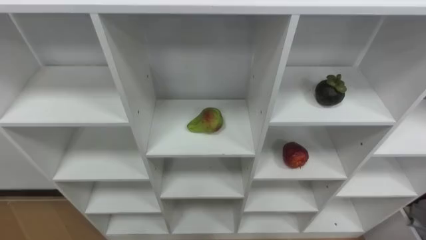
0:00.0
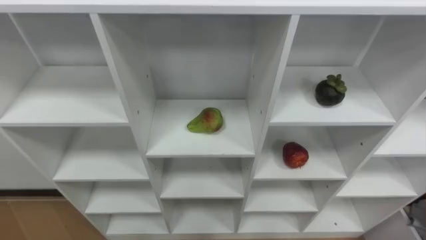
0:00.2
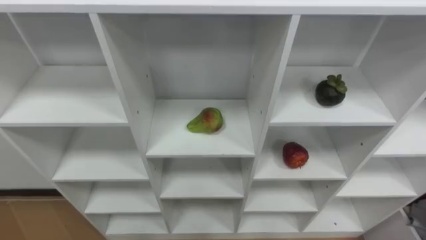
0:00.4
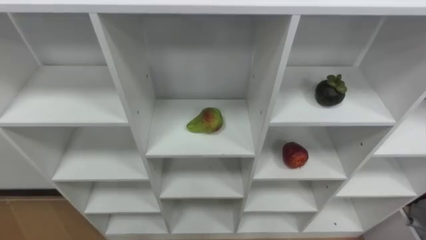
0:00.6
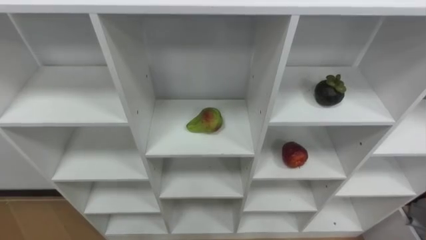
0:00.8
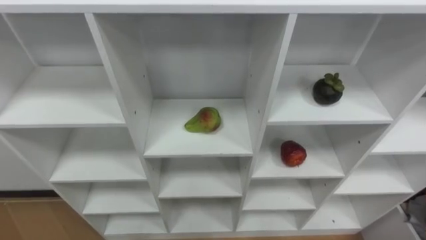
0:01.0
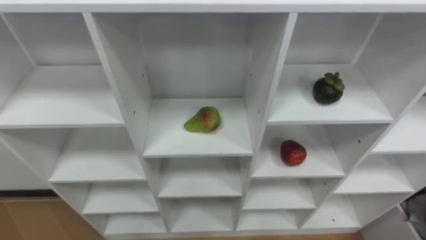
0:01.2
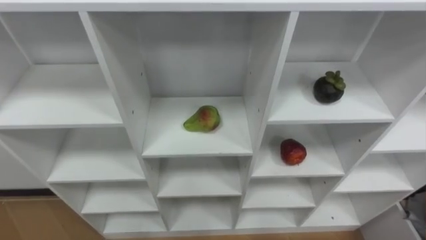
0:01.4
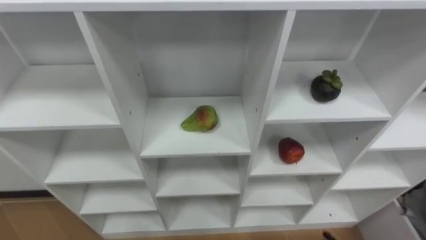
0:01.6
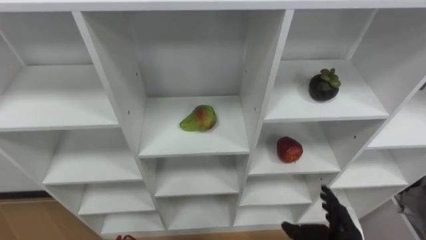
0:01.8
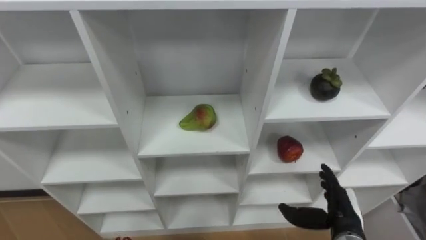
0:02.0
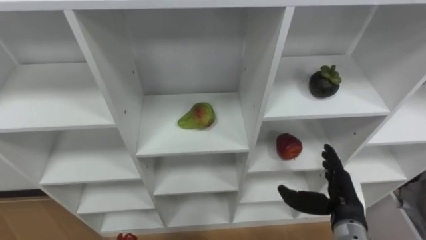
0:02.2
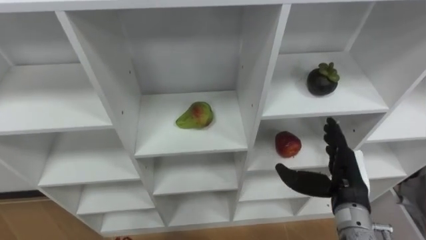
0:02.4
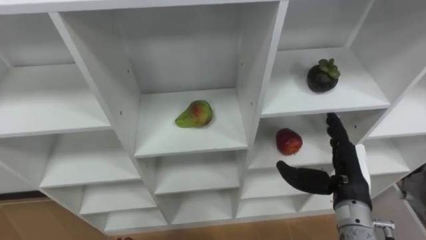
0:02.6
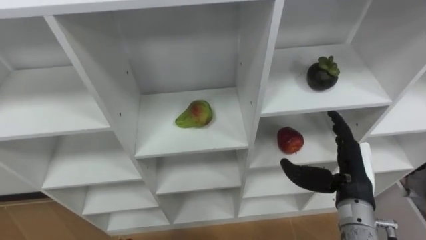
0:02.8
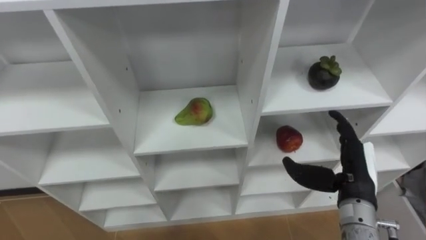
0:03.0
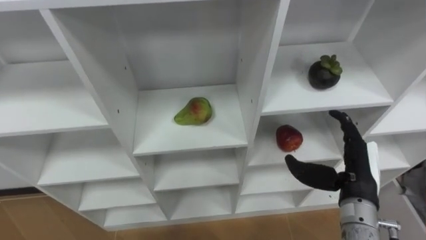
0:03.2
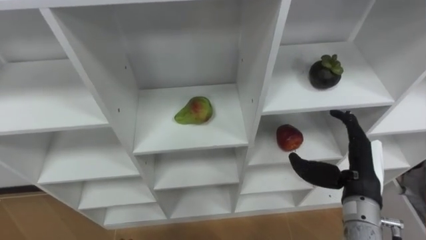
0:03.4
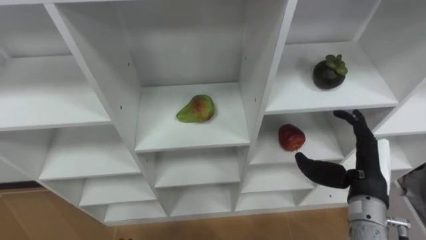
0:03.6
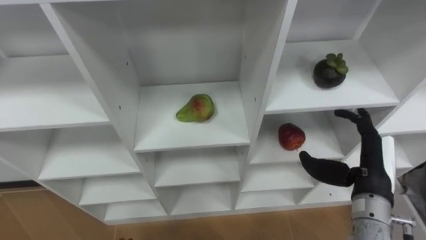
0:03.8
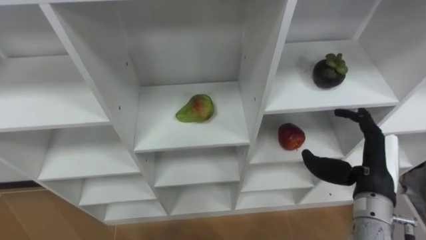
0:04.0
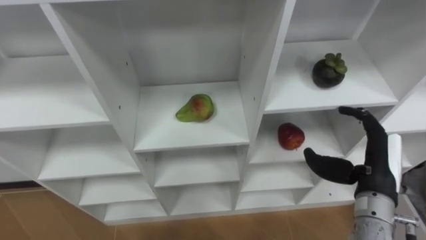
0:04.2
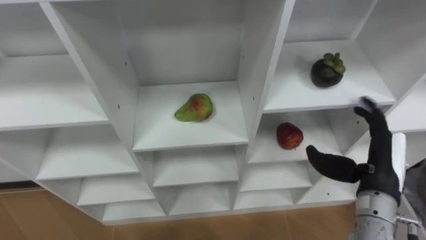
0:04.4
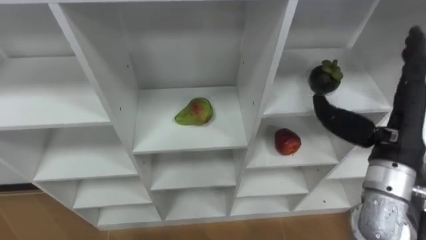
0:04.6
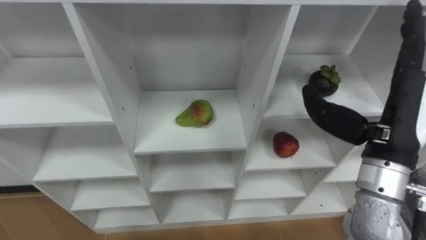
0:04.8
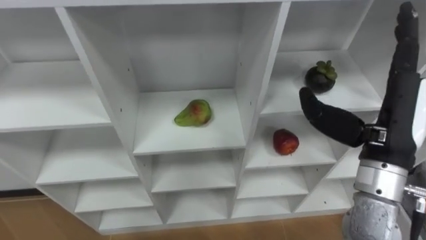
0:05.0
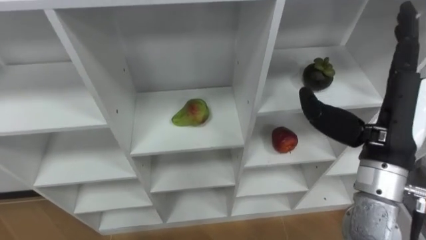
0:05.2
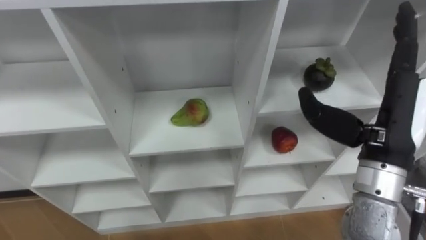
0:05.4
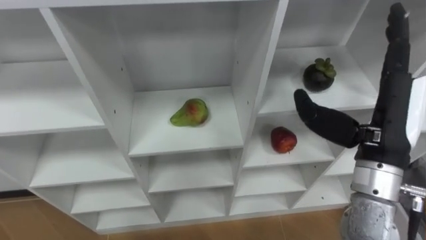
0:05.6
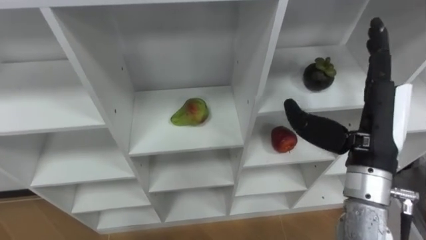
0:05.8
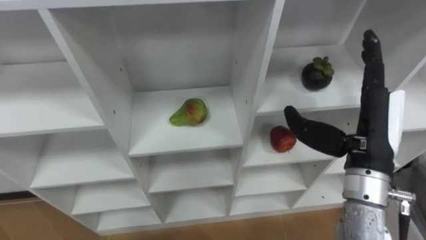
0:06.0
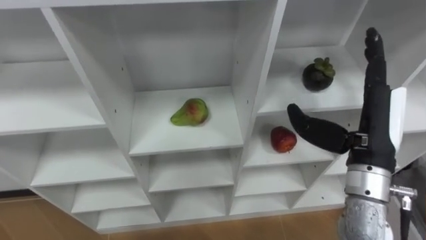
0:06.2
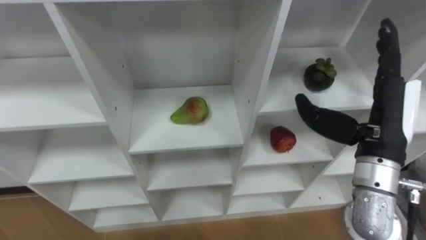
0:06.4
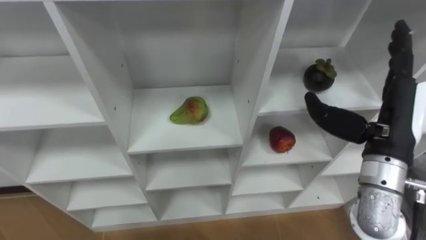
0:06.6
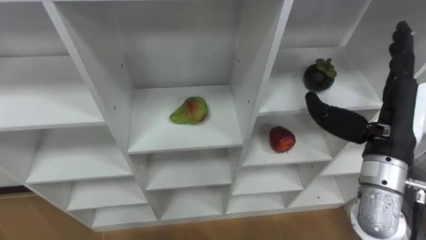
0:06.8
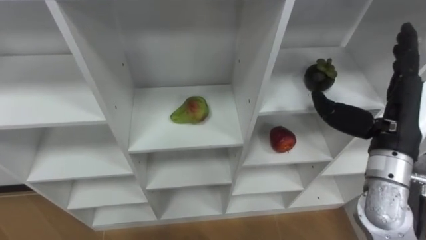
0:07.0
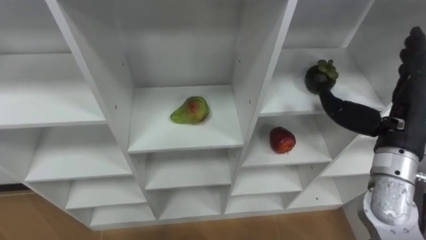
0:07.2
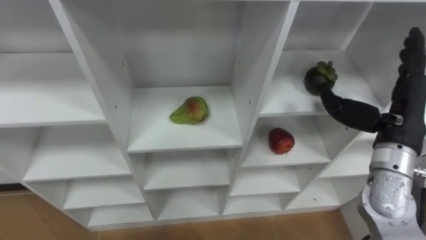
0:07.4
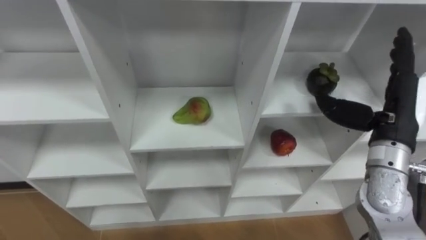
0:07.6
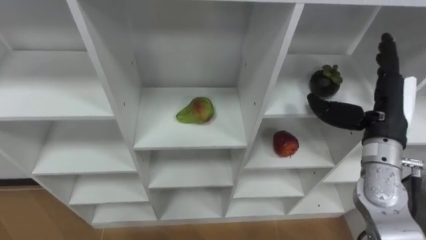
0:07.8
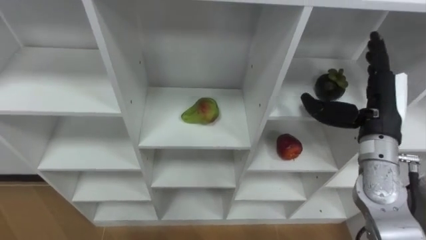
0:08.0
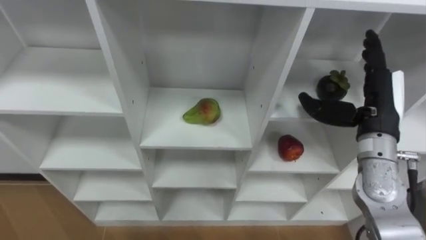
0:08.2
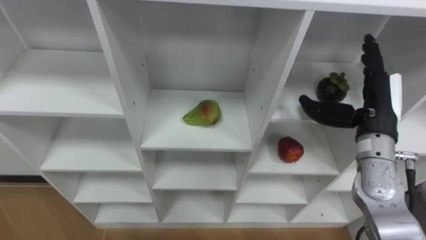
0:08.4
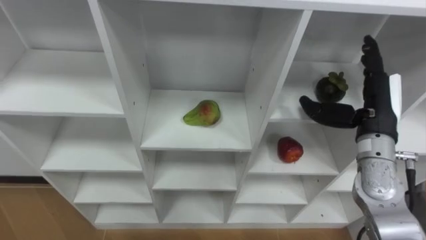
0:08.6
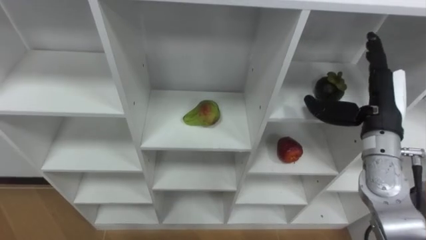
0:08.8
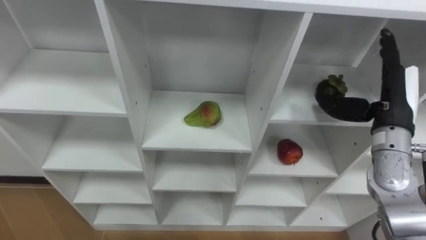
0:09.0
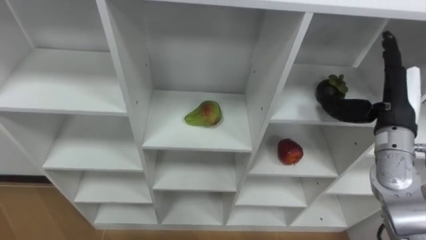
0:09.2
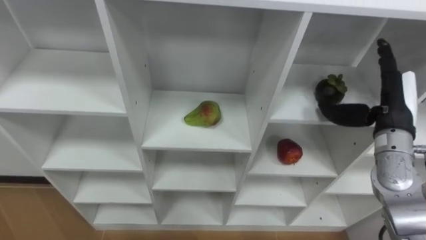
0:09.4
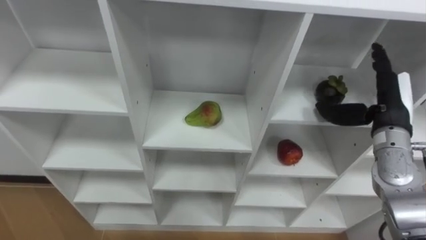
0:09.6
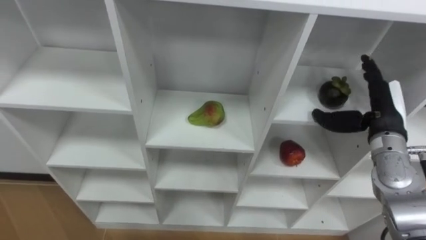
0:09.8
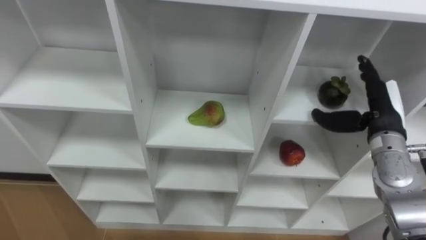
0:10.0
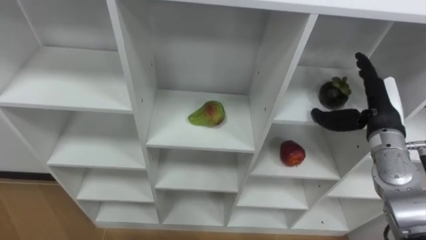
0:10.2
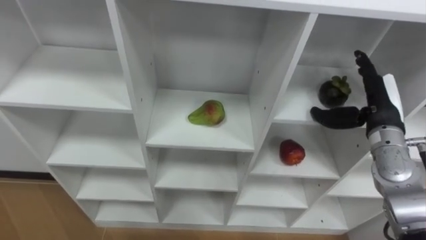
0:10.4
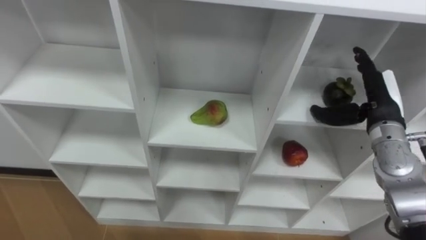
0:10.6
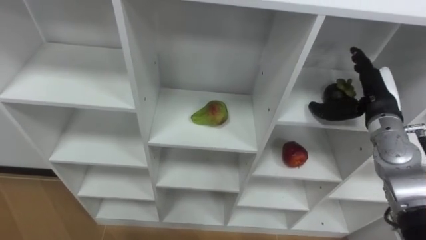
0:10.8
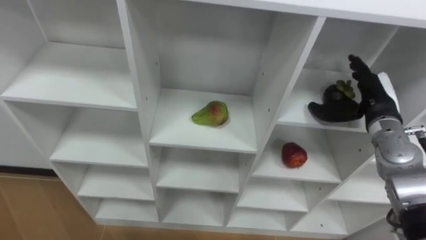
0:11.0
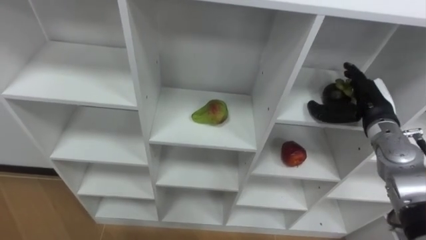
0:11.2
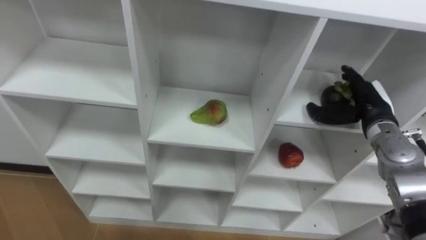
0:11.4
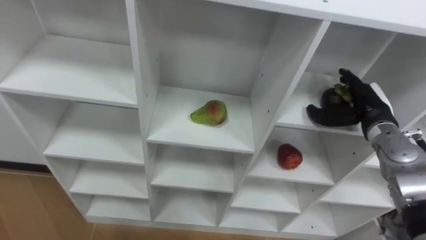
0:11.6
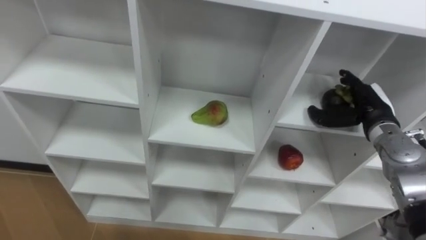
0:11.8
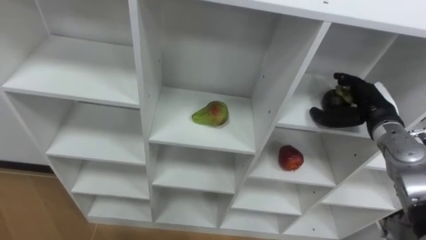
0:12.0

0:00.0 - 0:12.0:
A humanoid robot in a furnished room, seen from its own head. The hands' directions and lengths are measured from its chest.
Task of the whole recording: Hold the basket and collect the fruits from 3 different cells of the closet into it.
0:04.4 - 0:06.0: The right hand travels upward by roughly 10 cm.
0:06.0 - 0:07.6: The right hand shifts roughly 5 cm to the right.

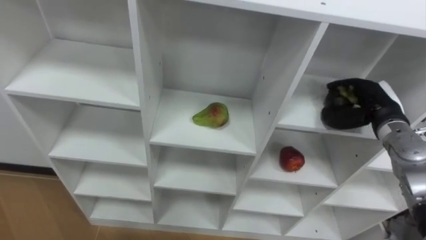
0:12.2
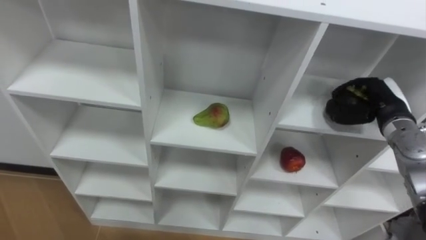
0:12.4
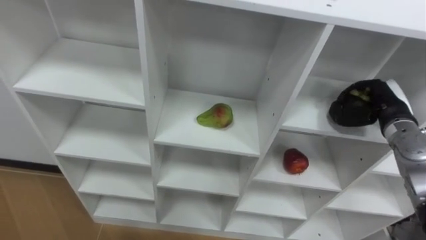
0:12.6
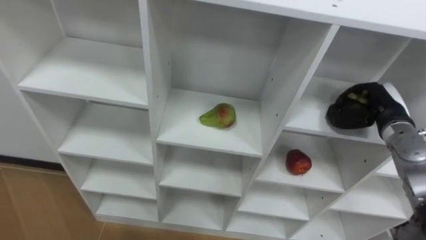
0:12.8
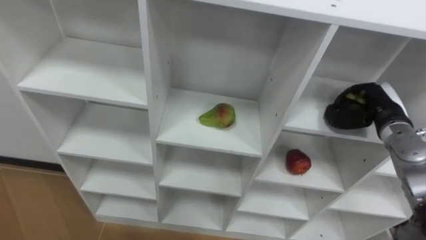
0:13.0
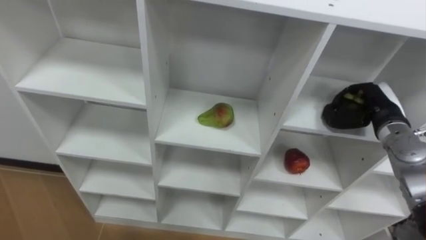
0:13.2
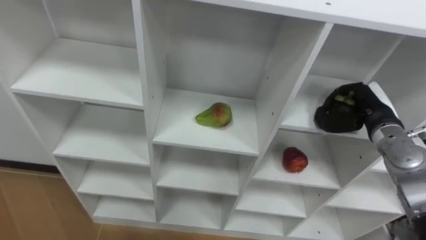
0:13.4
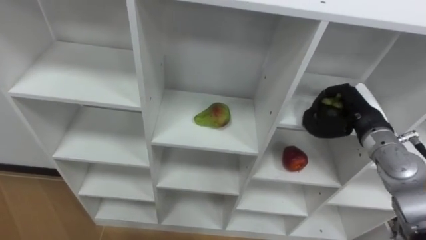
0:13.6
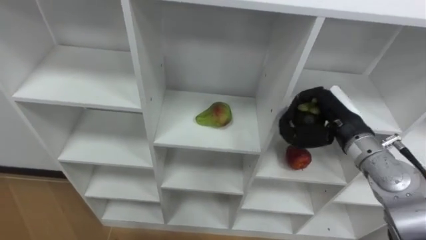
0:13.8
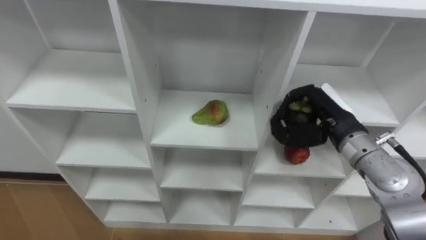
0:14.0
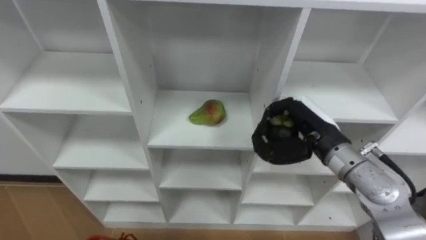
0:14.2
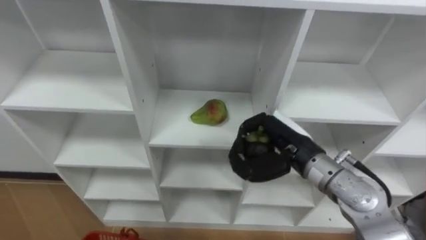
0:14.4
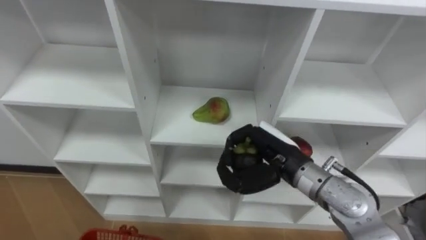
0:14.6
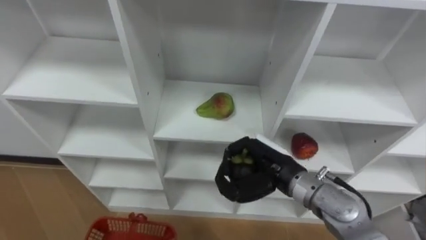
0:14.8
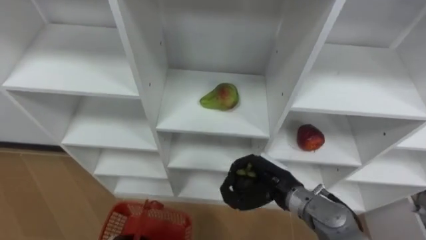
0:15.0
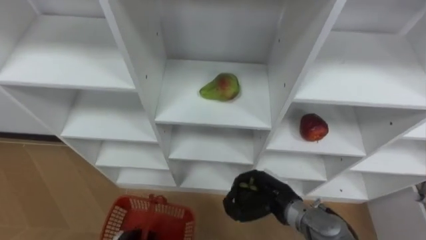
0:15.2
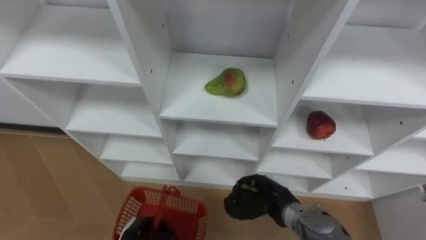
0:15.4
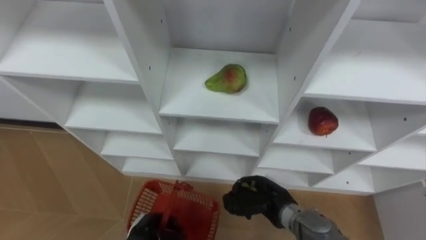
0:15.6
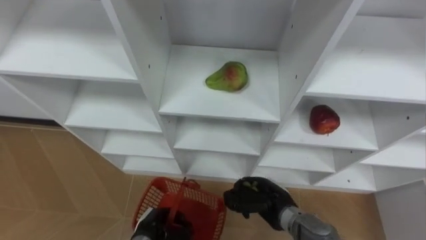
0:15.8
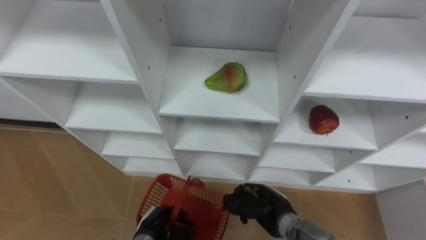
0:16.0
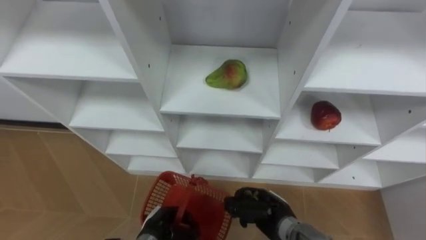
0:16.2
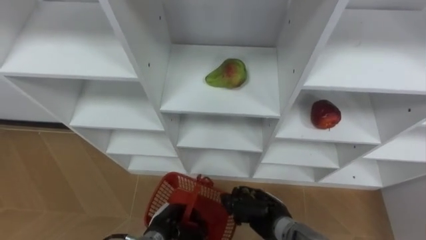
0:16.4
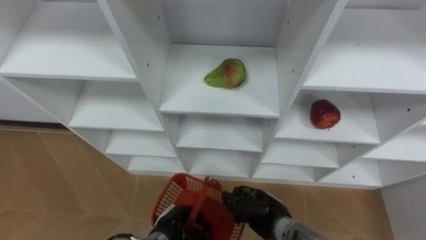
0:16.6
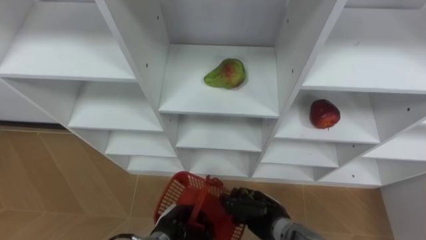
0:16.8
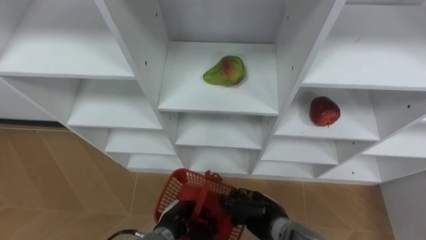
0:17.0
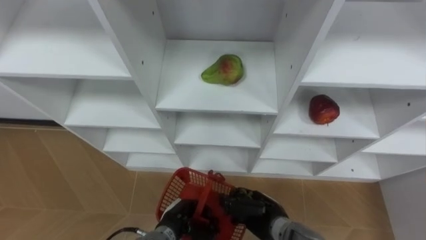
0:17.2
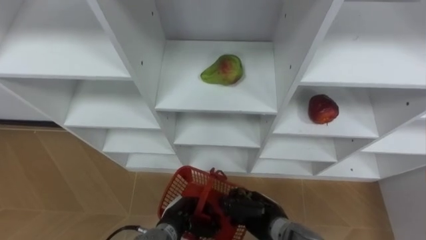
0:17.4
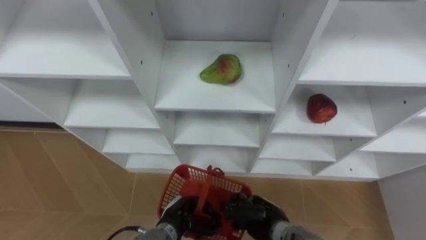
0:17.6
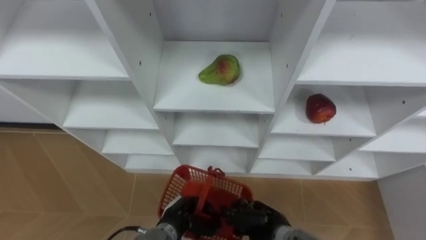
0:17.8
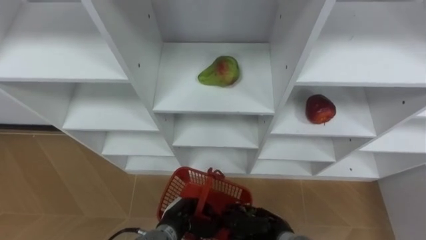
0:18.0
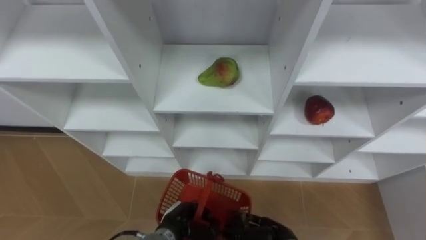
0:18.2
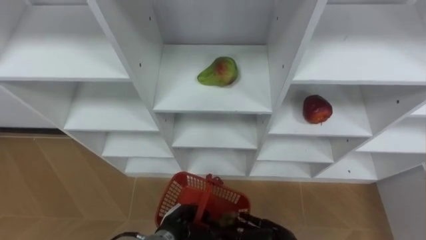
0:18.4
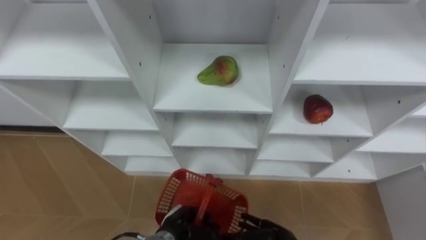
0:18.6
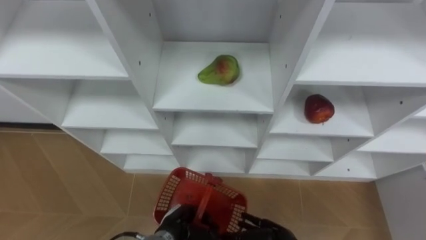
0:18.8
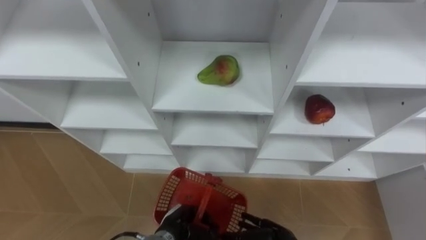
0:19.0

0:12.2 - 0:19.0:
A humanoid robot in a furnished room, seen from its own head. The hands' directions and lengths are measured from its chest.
Task of the whole recording: Hold the basket and collect the fruits from 3 different cells of the closet into it.
0:12.2 - 0:13.6: The right hand closes its fingers.
0:13.6 - 0:15.0: The right hand shifts about 20 cm to the left, backward and downward.
0:15.0 - 0:16.2: The right hand moves downward, roughly 10 cm.
0:16.2 - 0:17.6: The left hand moves some 5 cm.
0:17.6 - 0:19.0: The right hand moves roughly 5 cm, and opens up.
